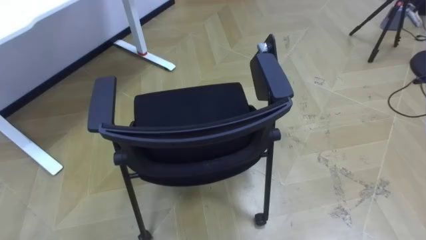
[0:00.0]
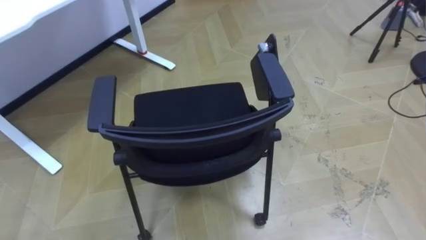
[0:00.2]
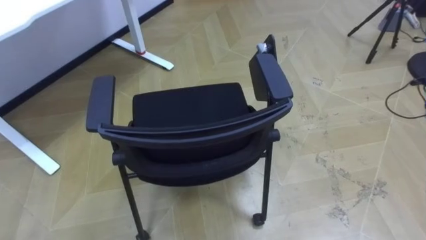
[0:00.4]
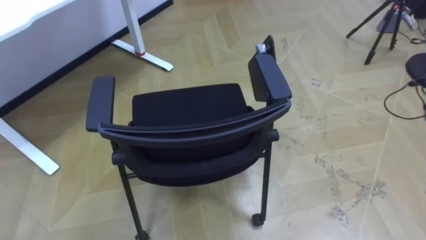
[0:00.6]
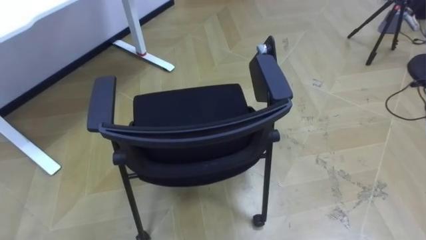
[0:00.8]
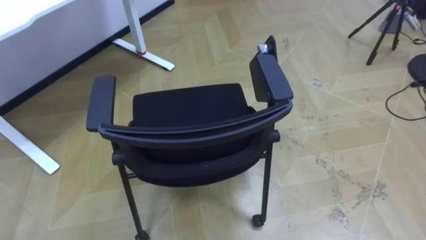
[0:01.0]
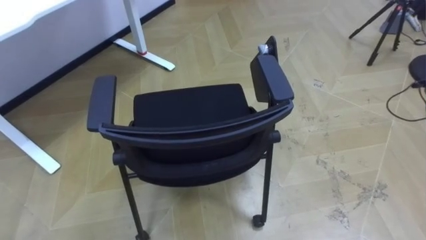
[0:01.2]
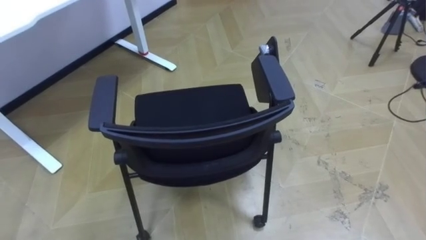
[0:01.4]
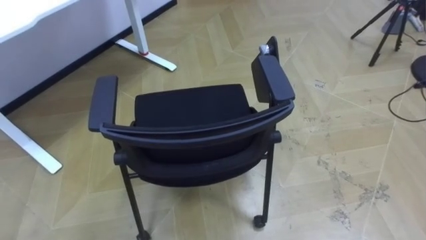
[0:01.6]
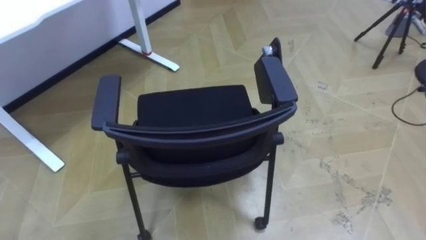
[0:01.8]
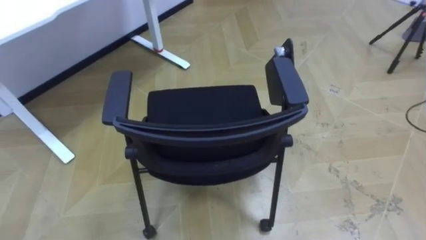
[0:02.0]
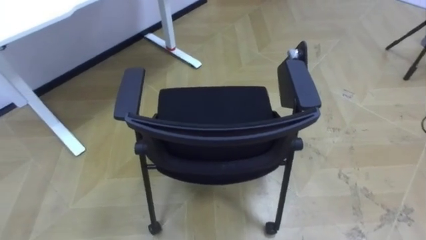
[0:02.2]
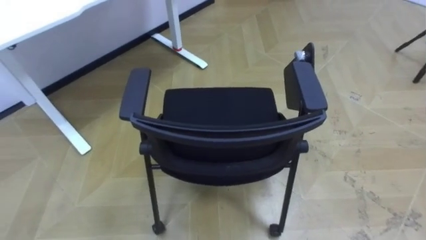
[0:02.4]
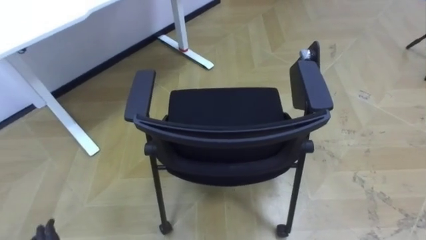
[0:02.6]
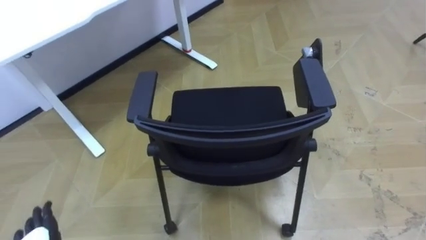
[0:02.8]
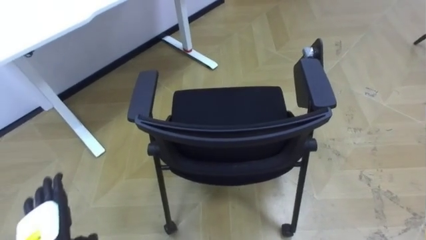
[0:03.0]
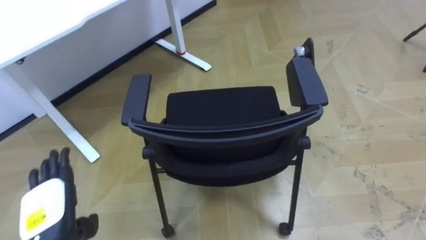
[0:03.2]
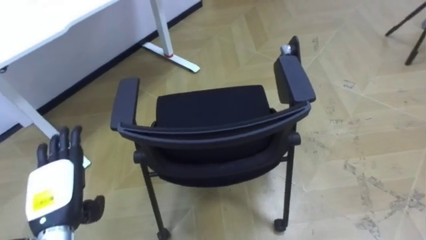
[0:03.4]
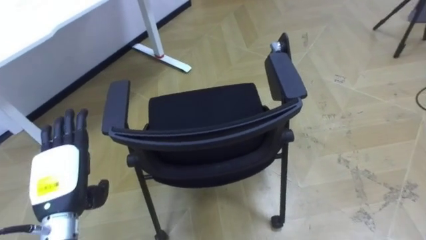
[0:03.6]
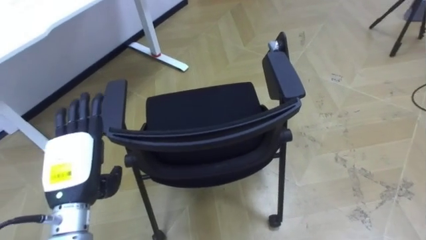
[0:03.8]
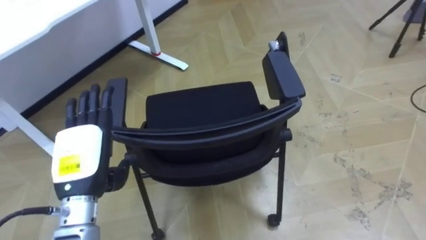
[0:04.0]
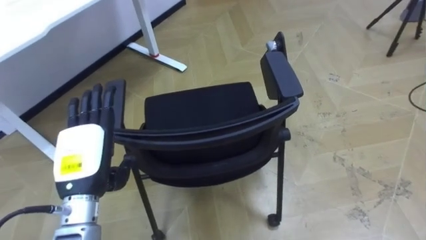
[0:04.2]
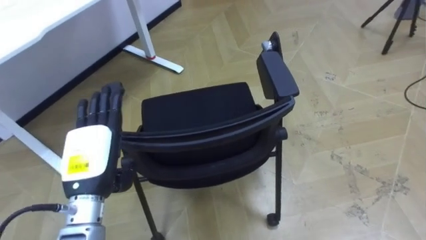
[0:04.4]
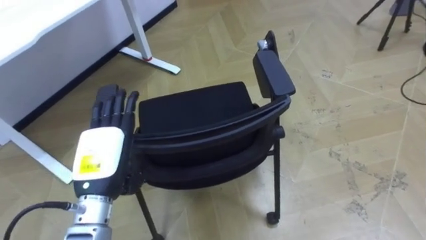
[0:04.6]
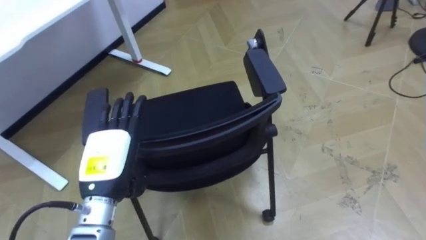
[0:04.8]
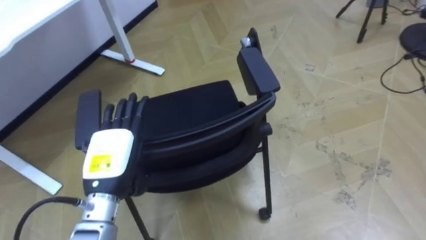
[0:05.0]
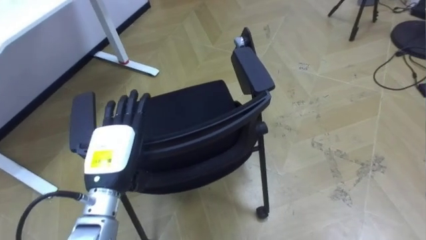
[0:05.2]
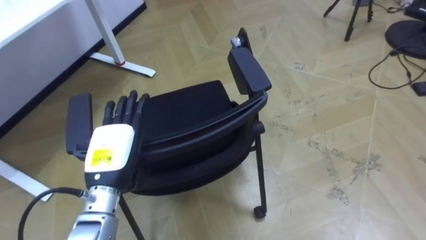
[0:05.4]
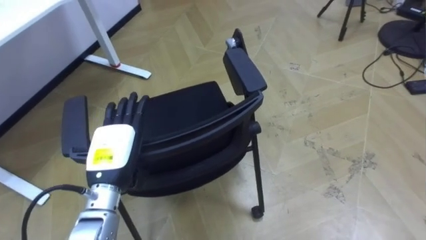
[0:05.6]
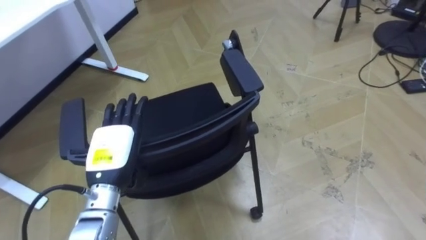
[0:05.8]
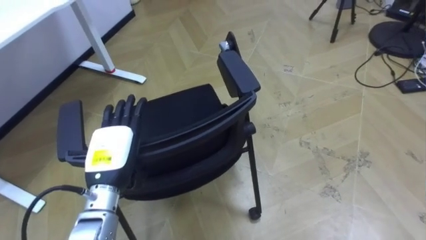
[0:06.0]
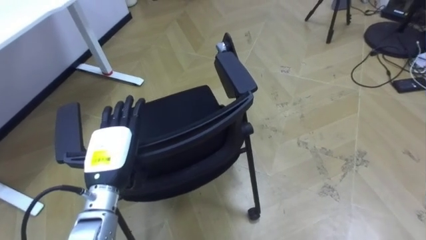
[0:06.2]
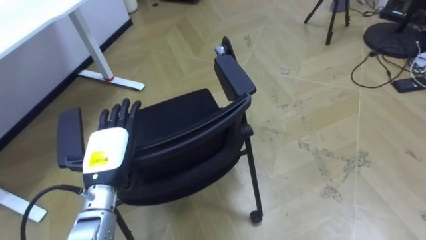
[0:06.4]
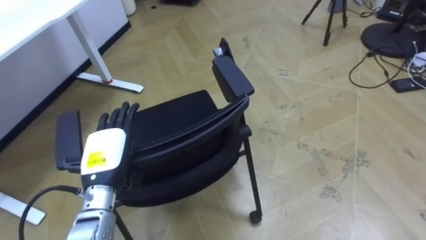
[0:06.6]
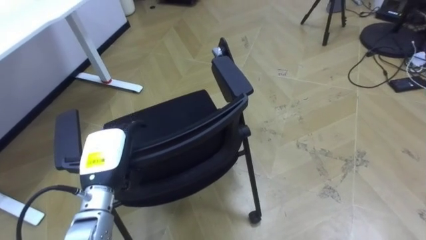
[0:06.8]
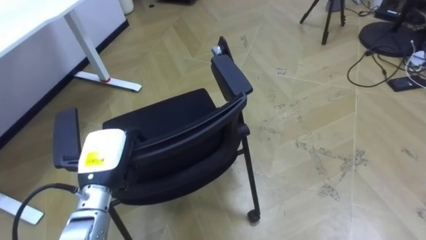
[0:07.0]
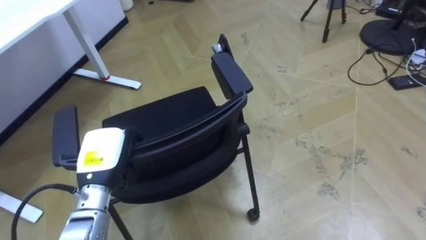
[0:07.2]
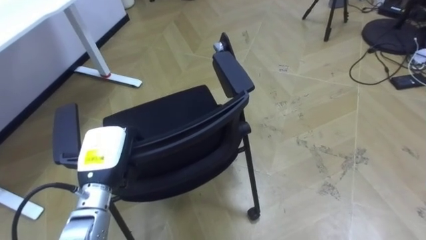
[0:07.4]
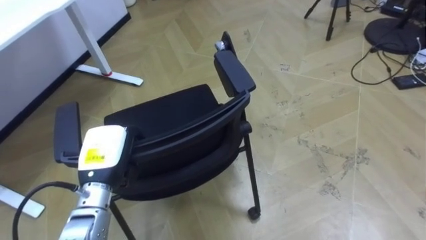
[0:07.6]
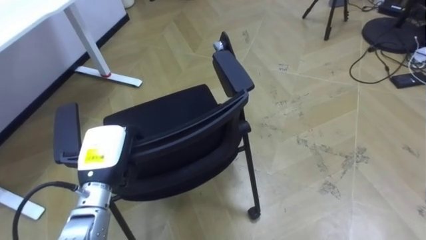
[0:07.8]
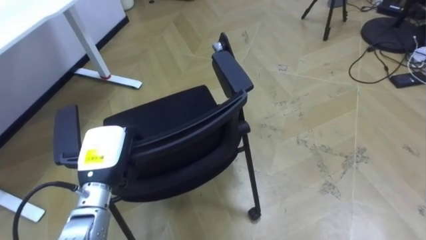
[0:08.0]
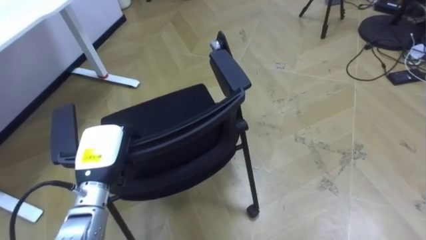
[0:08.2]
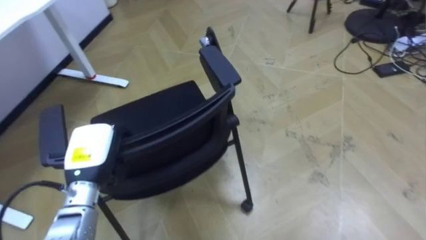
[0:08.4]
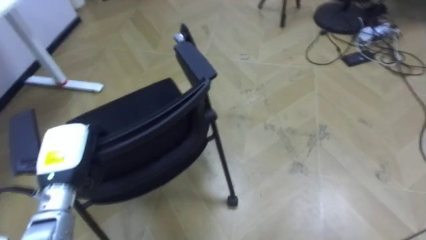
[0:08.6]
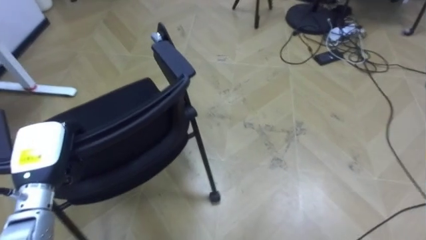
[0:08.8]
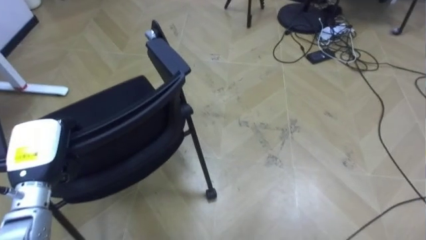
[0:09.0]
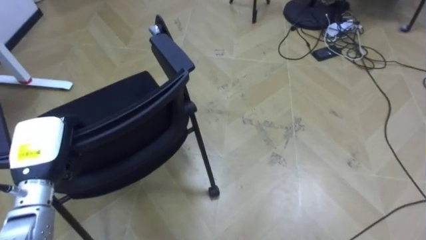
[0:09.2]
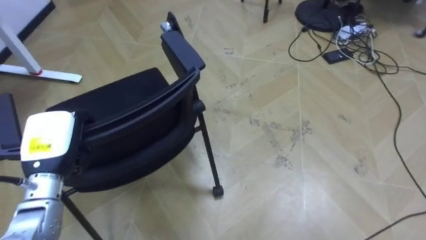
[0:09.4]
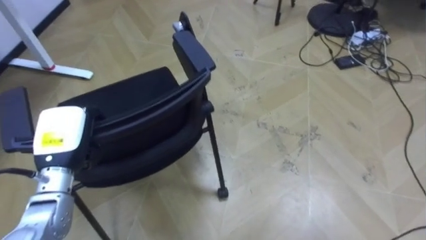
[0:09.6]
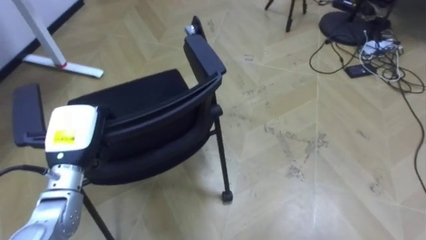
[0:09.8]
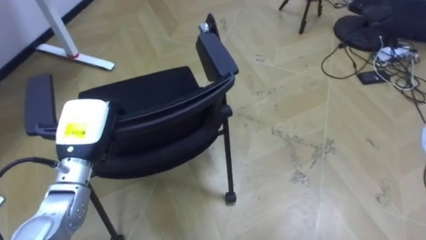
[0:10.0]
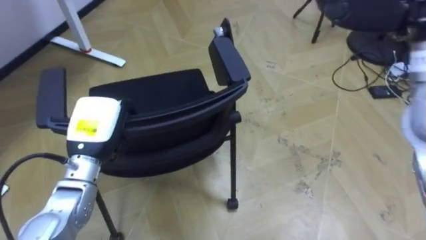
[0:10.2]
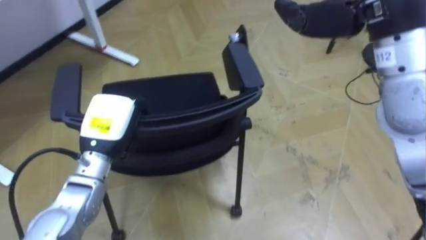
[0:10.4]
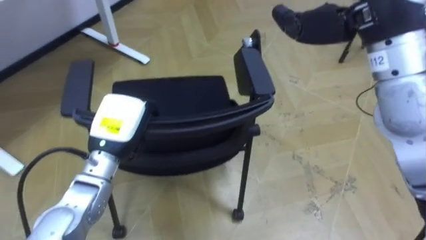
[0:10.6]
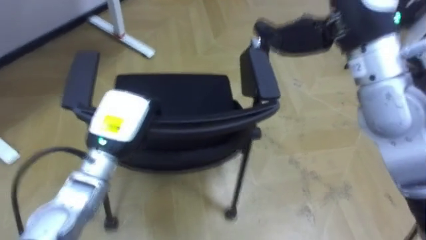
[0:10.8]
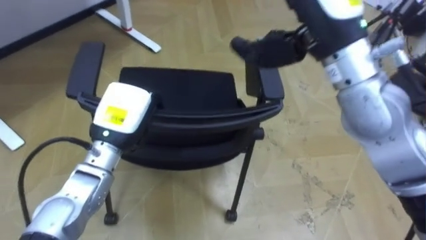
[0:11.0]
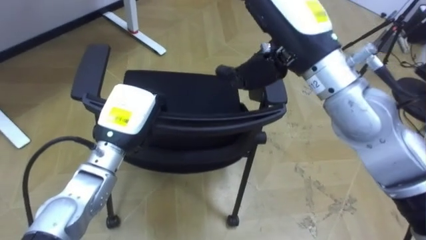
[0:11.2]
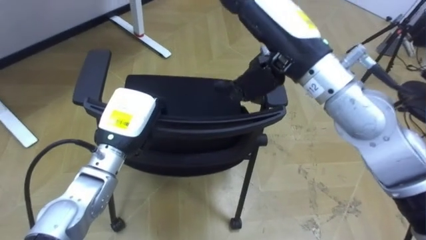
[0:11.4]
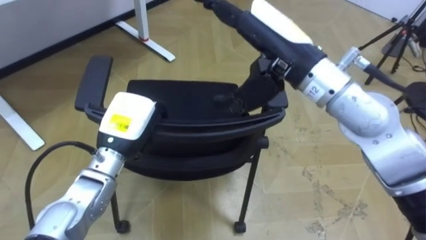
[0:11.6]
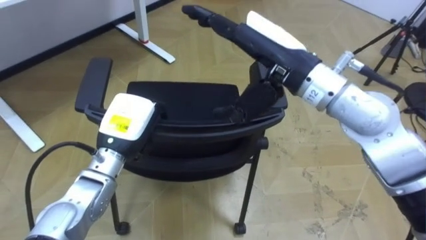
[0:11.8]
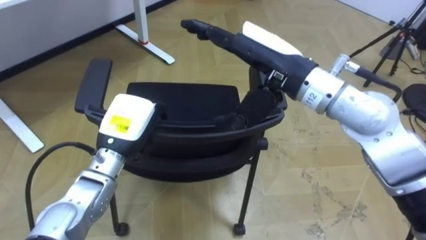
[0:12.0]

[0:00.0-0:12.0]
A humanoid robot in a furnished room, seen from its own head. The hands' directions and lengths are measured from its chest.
Task of the whole recording: Push the chair under the table.
0:03.0 to 0:04.4: The left hand goes about 20 cm upward, forward and to the right.
0:04.4 to 0:06.0: The left hand shifts by about 5 cm.
0:06.0 to 0:07.6: The left hand closes up.
0:07.6 to 0:09.0: The left hand goes some 10 cm to the left.
0:09.0 to 0:10.4: The left hand shifts roughly 10 cm to the right.

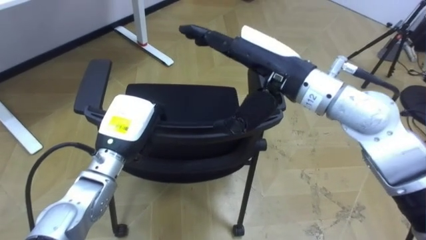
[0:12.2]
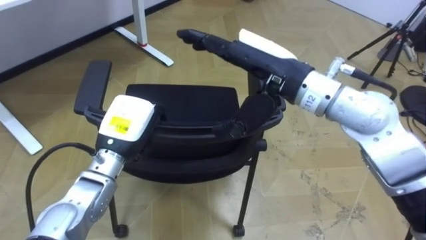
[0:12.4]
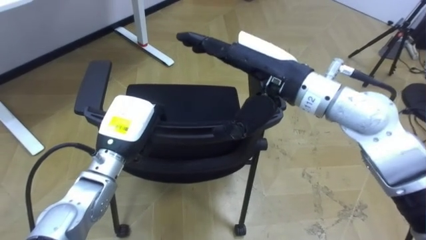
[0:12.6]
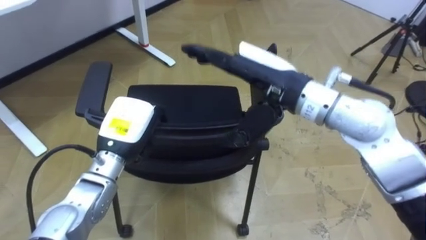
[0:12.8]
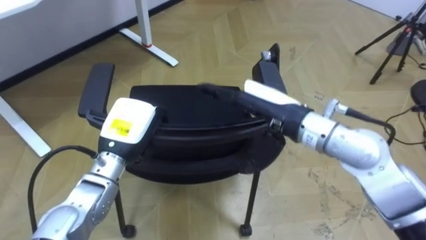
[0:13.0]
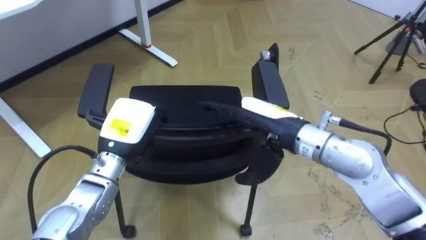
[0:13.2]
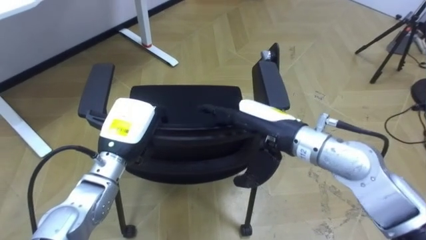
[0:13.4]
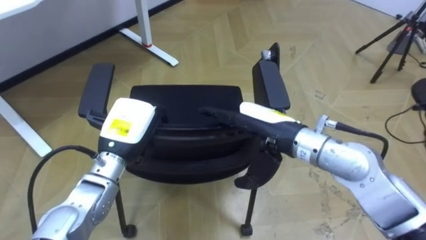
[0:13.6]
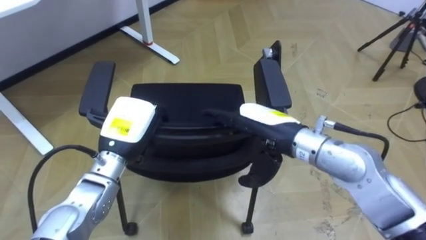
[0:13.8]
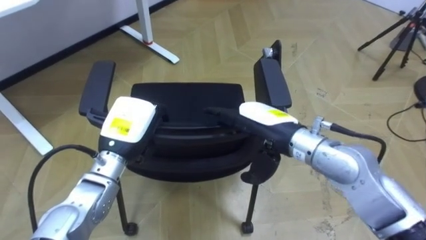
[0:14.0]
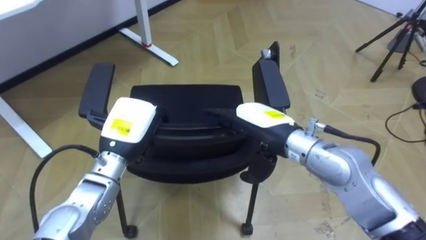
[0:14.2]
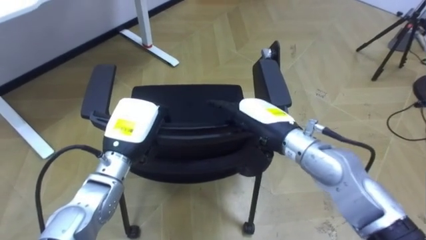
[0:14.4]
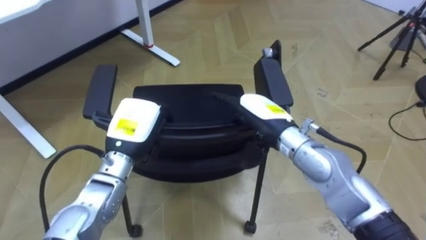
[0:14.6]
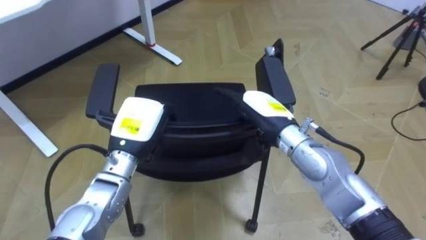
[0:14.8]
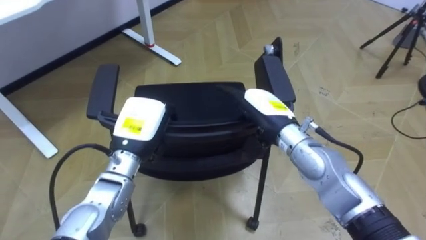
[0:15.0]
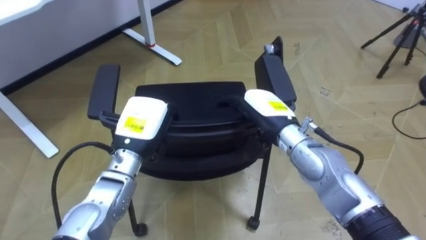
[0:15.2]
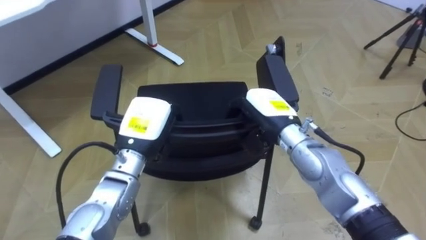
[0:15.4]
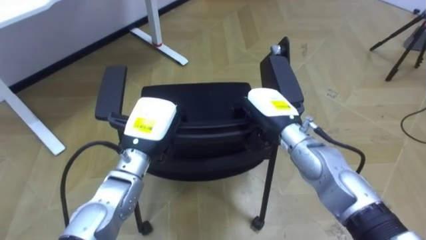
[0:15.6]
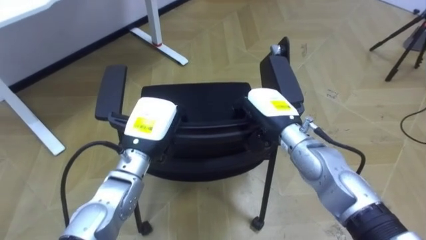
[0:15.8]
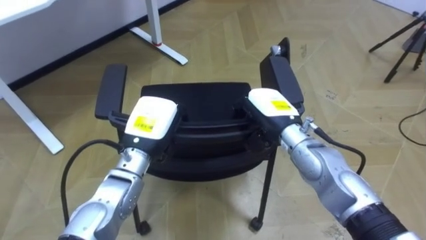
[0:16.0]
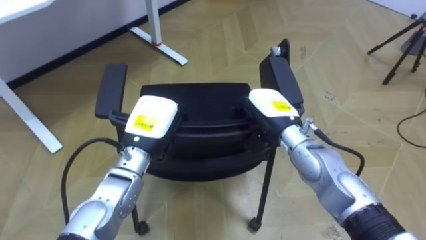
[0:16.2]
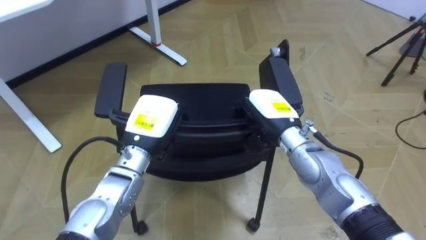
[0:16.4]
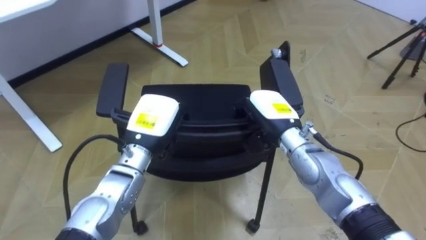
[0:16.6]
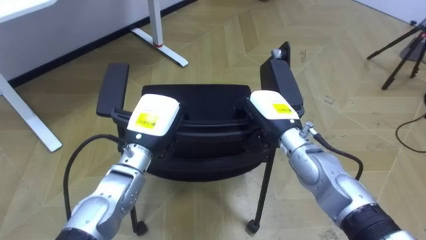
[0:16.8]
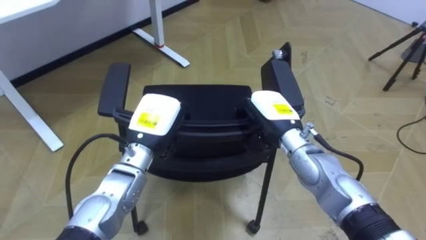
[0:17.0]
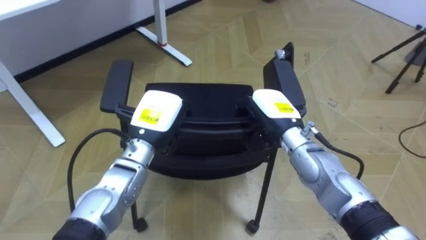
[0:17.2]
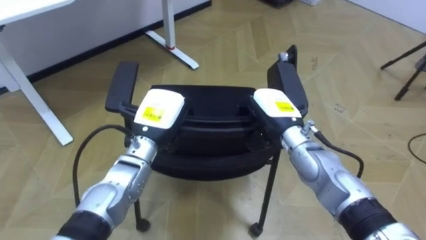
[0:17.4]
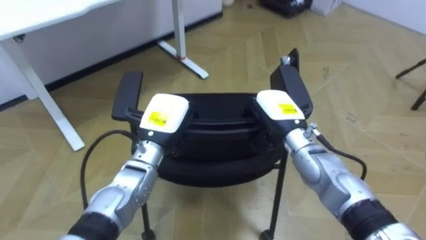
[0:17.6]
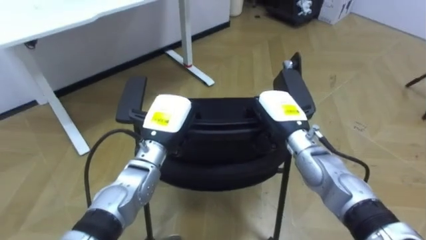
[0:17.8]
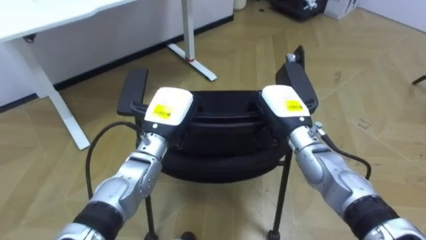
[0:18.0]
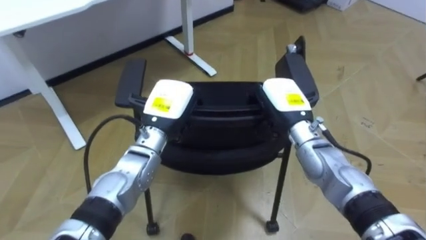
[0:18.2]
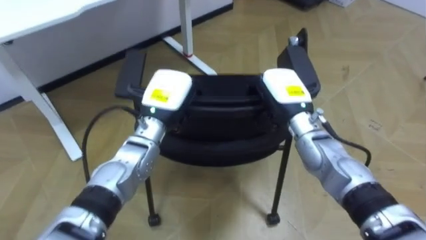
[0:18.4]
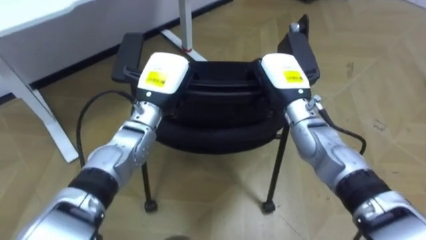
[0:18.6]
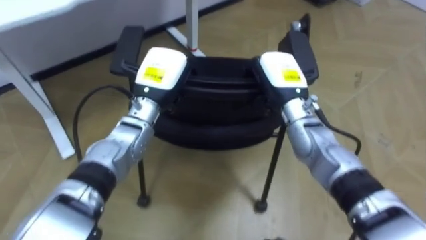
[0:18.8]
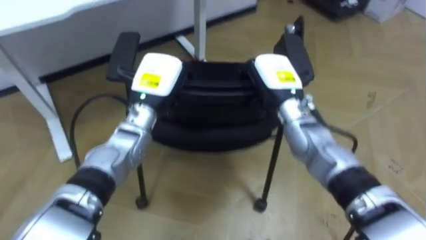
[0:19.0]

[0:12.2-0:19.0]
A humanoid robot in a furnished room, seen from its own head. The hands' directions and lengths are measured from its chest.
Task of the whole recording: Push the chair under the table.
0:12.2 to 0:13.6: The right hand goes approximately 10 cm downward.
0:13.6 to 0:15.0: The right hand shifts by approximately 5 cm.
0:15.0 to 0:16.2: The right hand closes up.
0:17.6 to 0:19.0: The left hand moves approximately 5 cm; the right hand travels upward by some 5 cm.
